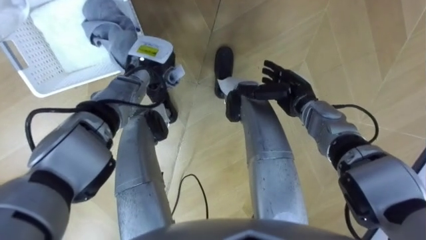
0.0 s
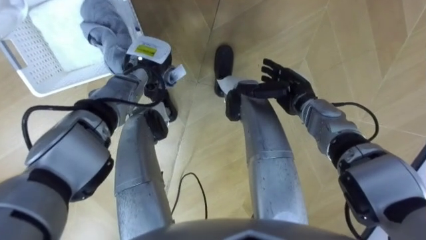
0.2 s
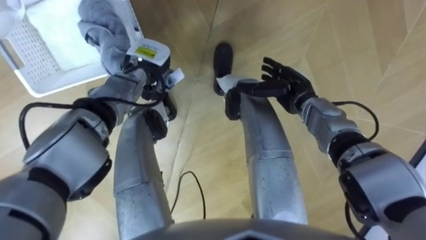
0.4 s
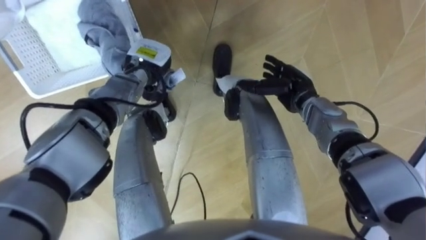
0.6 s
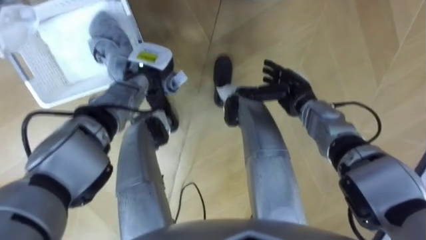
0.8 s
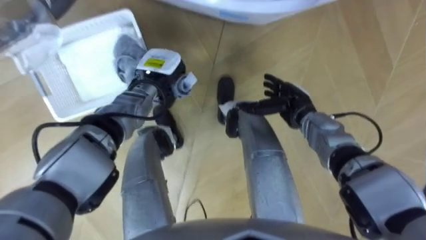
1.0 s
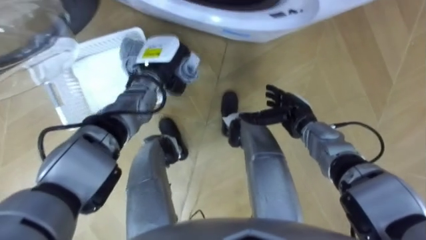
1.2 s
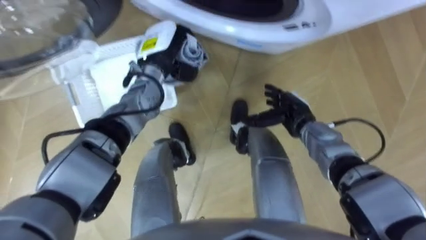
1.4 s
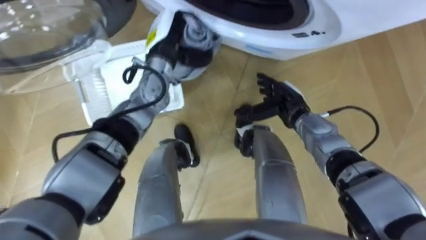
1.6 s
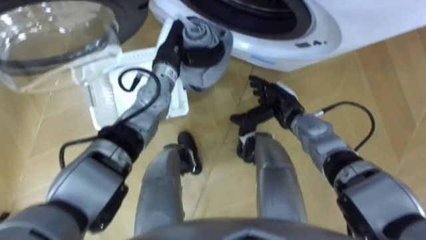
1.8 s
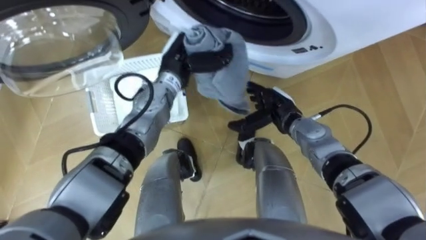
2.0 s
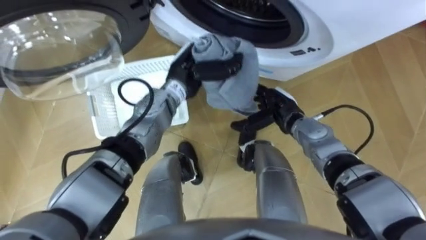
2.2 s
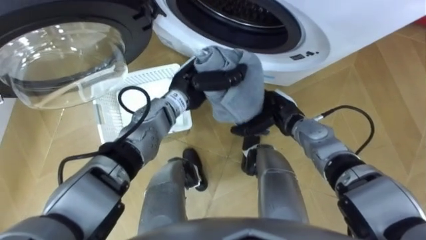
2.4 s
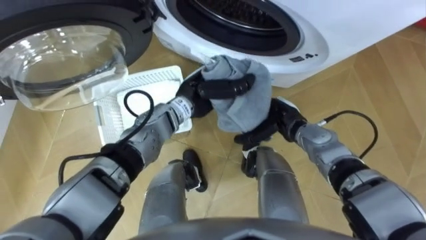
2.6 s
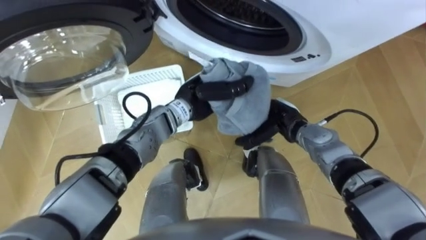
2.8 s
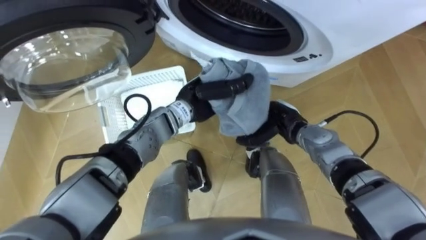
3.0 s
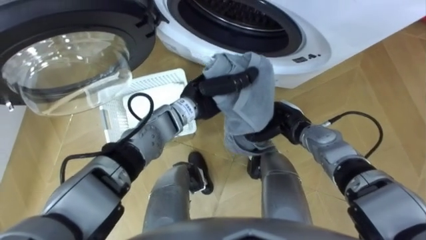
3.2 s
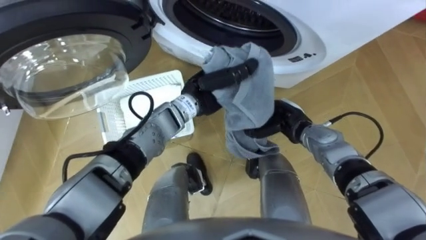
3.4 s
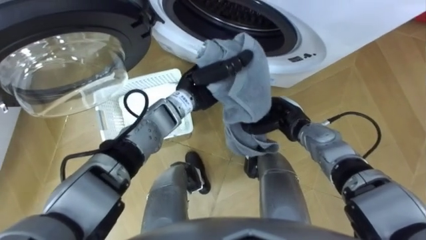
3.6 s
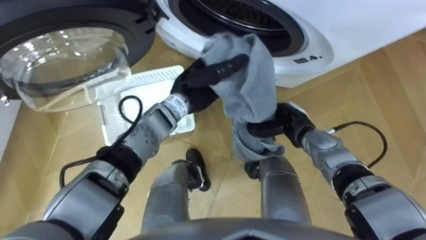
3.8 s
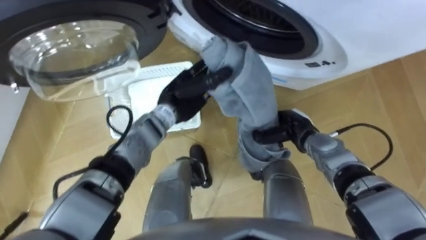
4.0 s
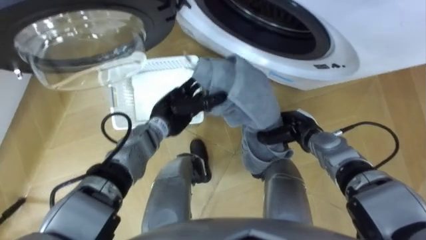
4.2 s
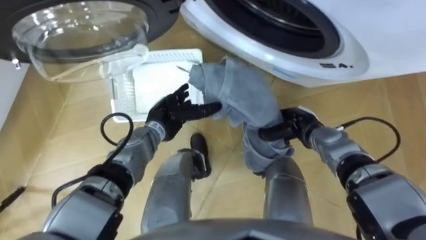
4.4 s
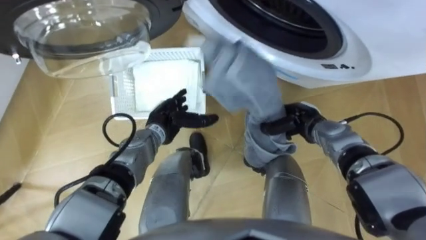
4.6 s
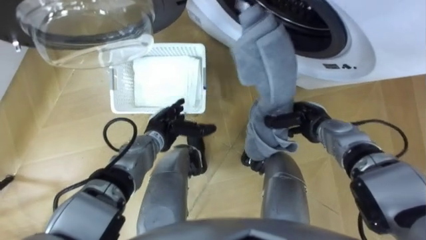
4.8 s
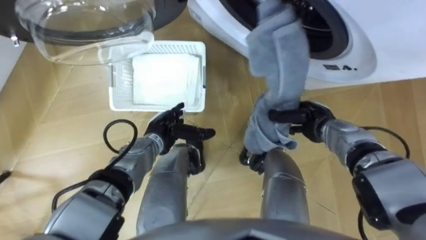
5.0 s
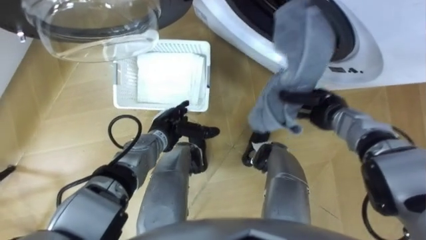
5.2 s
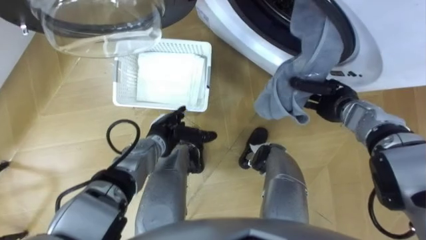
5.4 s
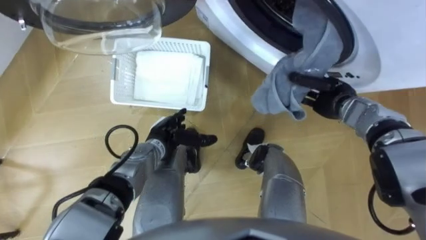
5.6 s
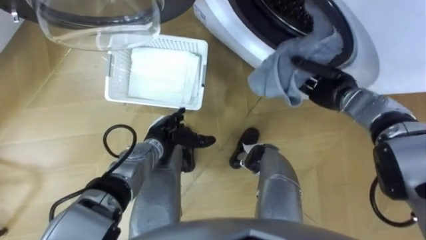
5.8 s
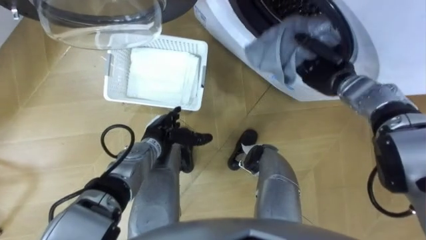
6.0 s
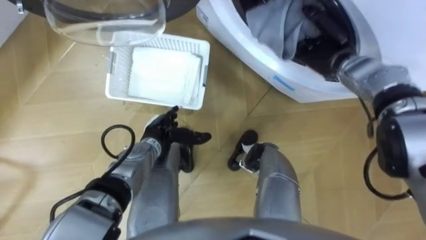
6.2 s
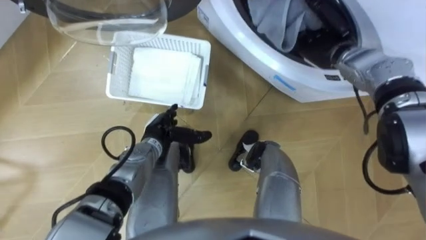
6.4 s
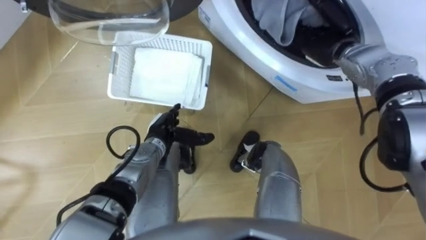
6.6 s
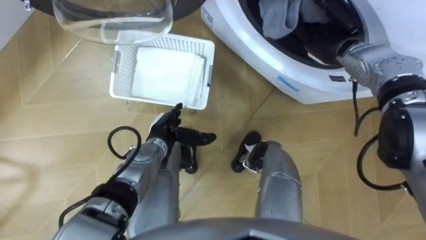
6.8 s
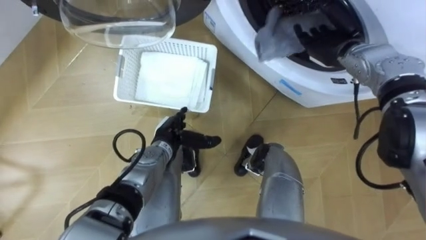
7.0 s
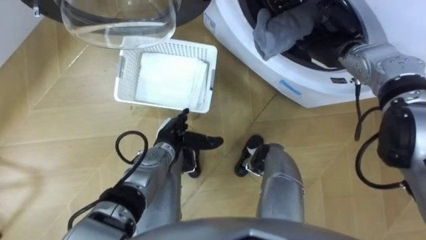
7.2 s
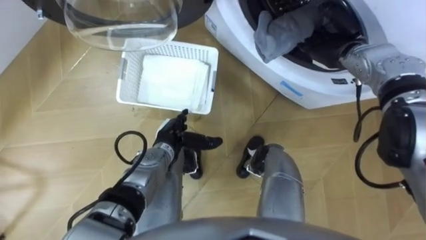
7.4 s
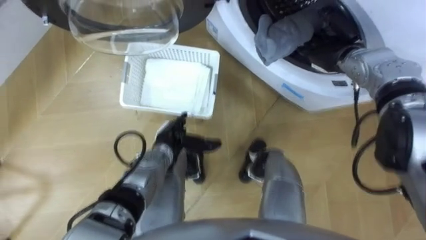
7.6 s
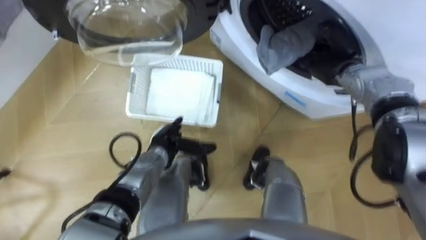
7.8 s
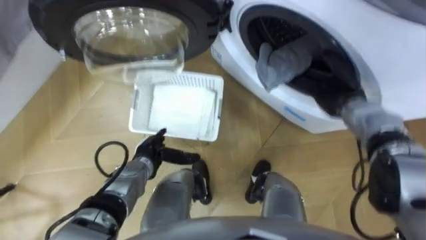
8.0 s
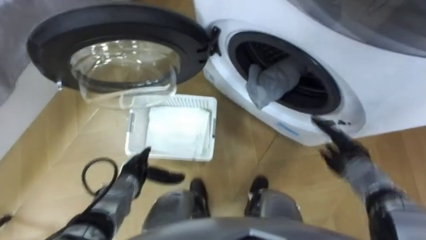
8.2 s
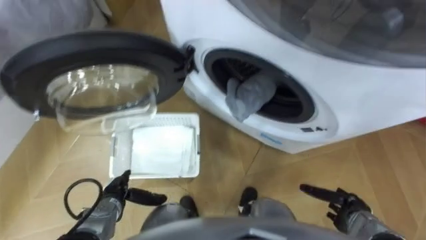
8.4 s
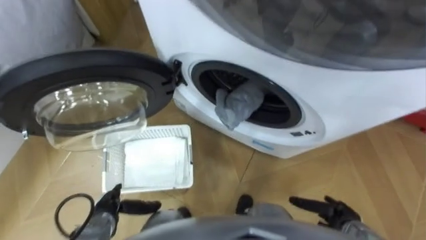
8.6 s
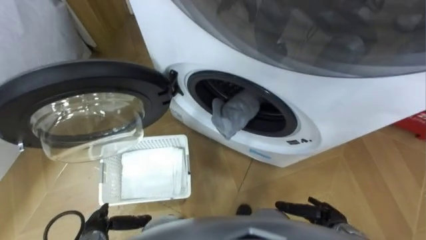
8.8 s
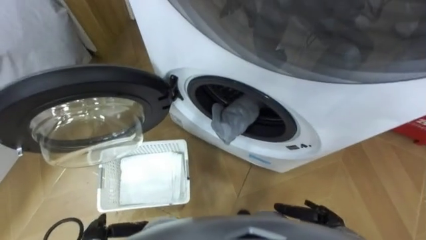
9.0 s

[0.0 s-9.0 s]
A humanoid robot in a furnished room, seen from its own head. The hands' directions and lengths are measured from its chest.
Task of the whole recording: Take the towel from the basket and put it into the washing machine.
0.0 to 1.6 s: The left hand shifts roughly 5 cm upward.
1.6 to 3.0 s: The left hand heads backward, to the right and downward, covering about 15 cm.
3.0 to 4.4 s: The left hand shifts about 10 cm to the left and downward, and opens. Meanwhile the right hand closes.
4.4 to 6.0 s: The right hand moves upward and forward, about 15 cm.
6.0 to 7.6 s: The right hand opens its fingers.
7.6 to 9.0 s: The right hand travels backward and downward by about 40 cm.

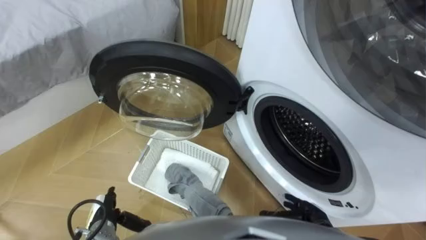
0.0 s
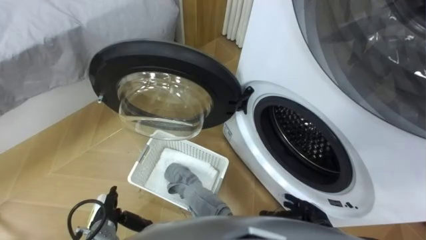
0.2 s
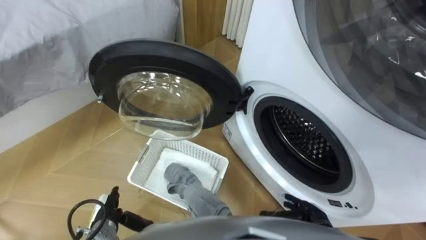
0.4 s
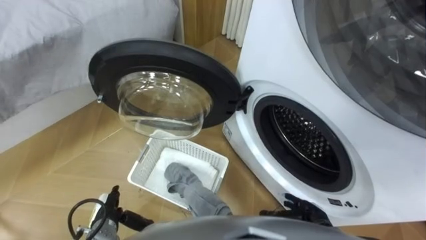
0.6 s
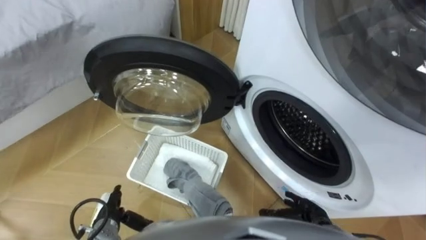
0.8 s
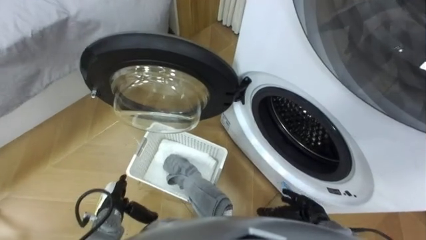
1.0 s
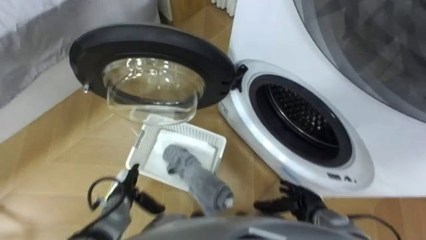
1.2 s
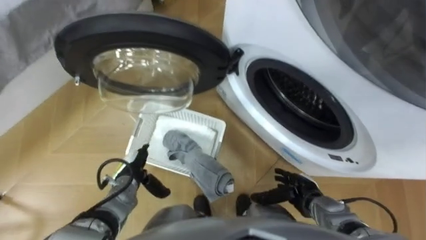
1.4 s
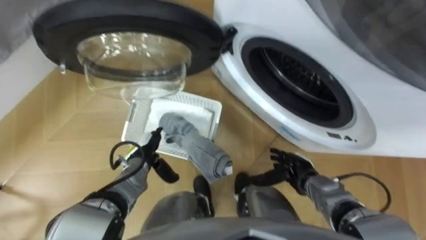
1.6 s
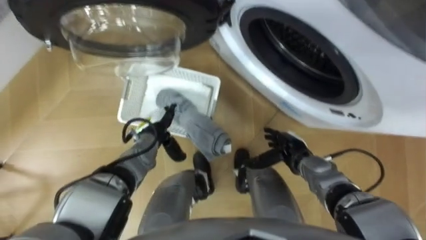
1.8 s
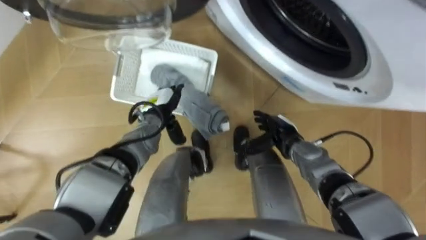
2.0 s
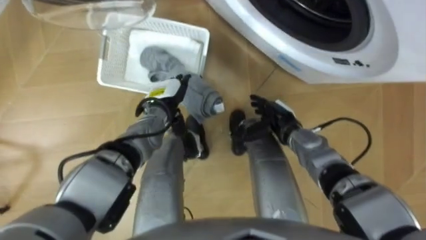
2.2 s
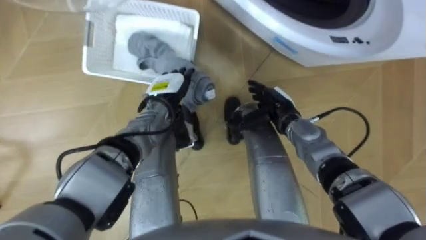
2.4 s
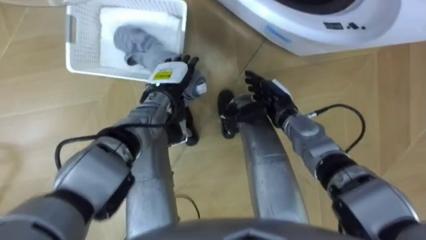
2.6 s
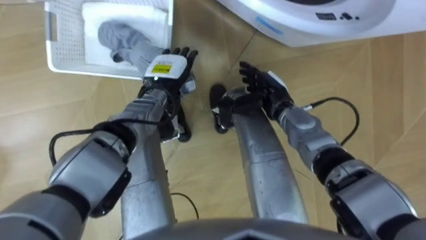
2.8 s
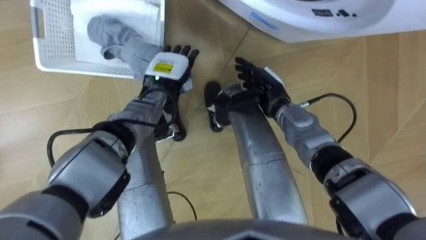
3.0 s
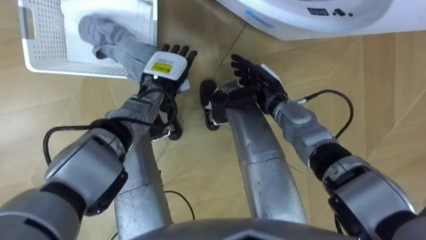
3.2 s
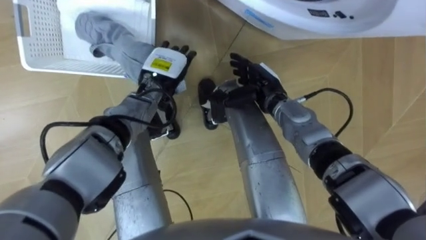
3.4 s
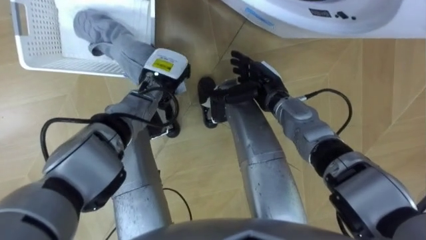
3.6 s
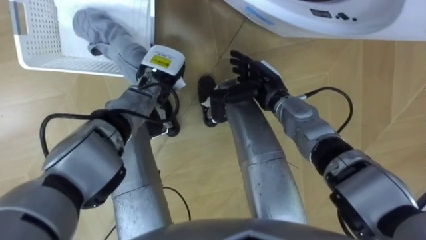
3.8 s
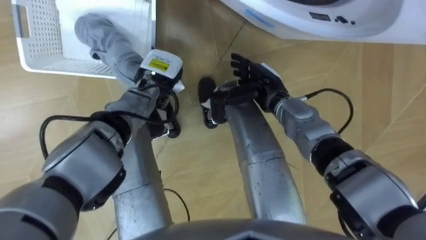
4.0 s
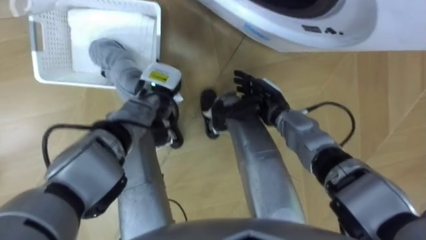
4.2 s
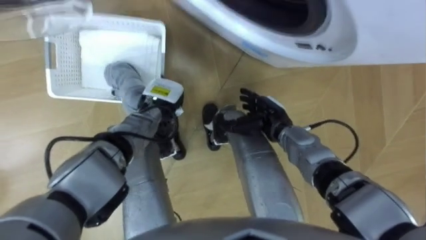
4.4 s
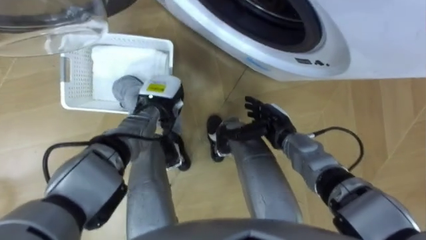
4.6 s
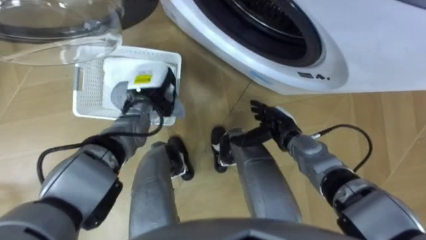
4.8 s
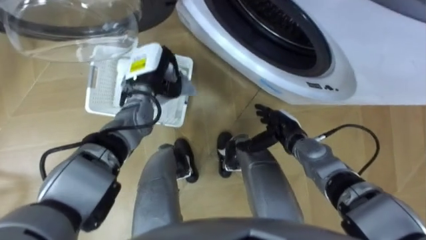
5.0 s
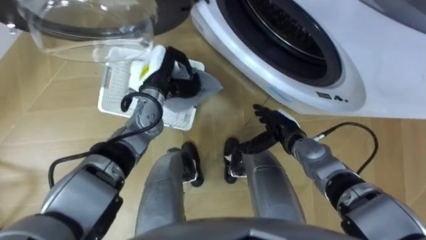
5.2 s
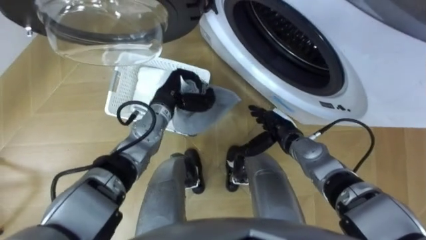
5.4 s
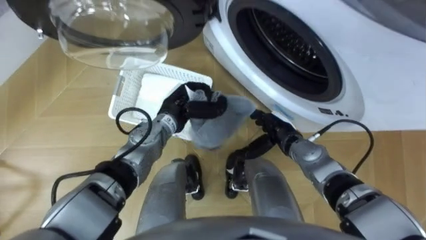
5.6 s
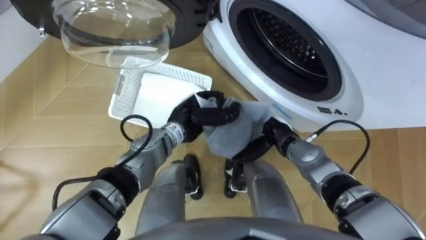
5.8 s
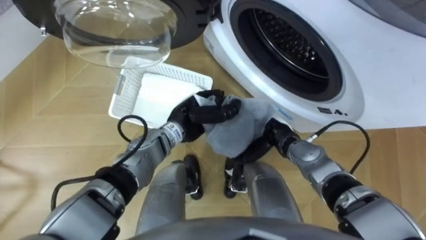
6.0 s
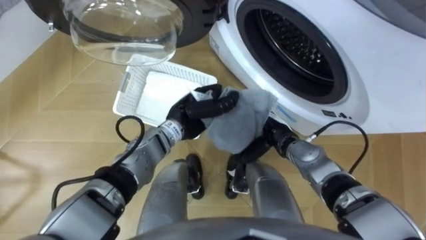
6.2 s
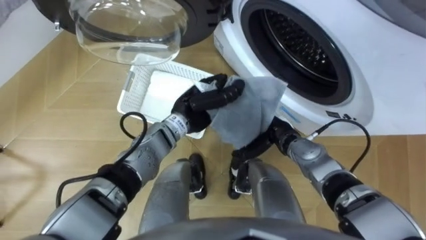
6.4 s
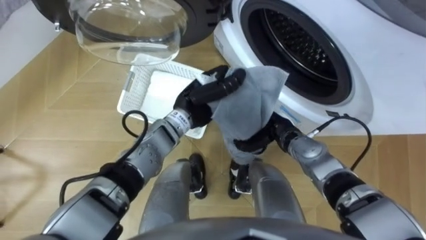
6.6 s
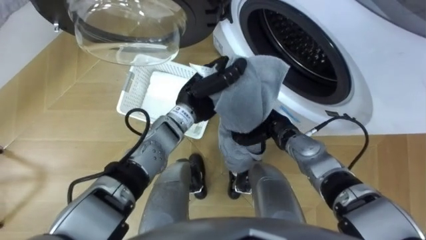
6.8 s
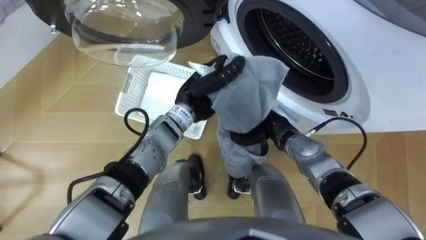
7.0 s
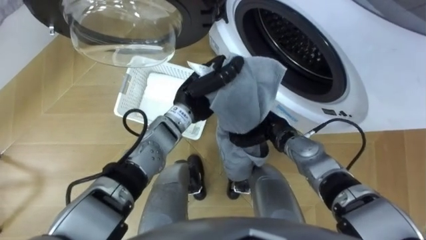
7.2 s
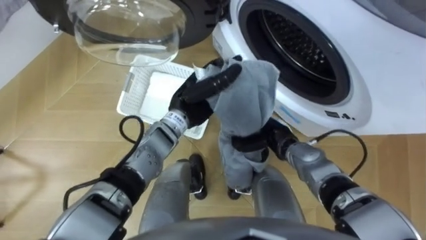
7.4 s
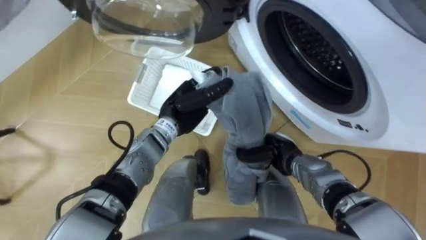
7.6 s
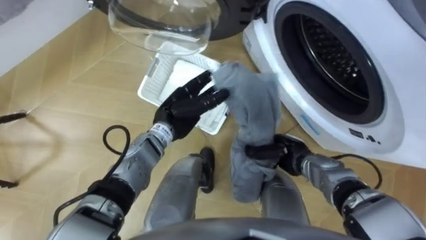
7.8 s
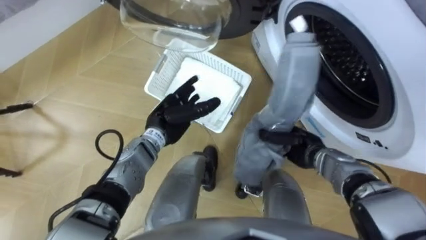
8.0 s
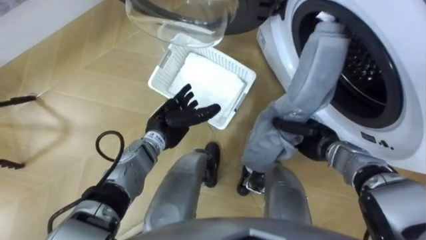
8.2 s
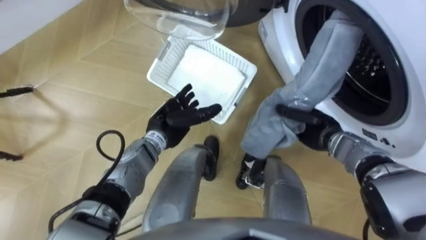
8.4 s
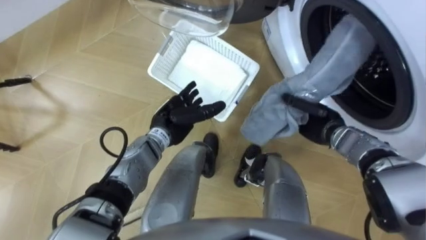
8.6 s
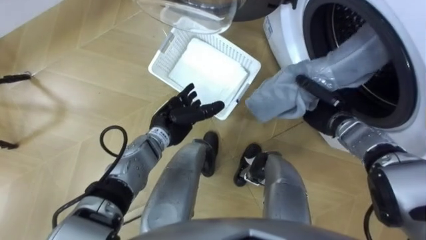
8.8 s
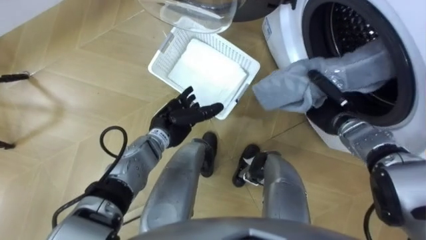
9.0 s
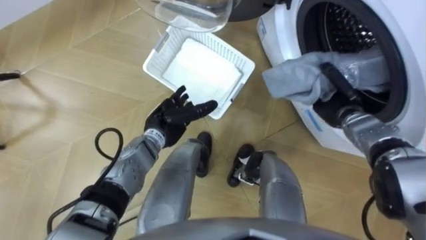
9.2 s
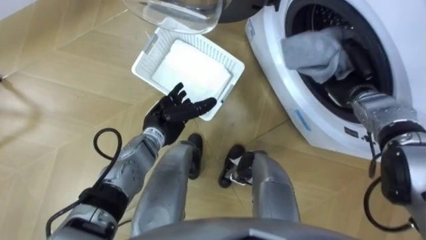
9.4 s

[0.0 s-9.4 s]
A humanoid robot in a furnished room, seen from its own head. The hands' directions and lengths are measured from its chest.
Task of the whole recording: Take the towel from the basket and put it into the washing machine.
1.6 to 3.2 s: The left hand moves forward, upward and to the right, about 20 cm; the right hand moves forward, upward and to the left, approximately 20 cm.
3.2 to 4.8 s: The right hand is displaced downward and backward by approximately 10 cm; the left hand closes.
4.8 to 6.2 s: The left hand shifts about 10 cm to the right and backward.
6.2 to 7.8 s: The left hand opens its fingers; the right hand changes place by approximately 5 cm, and closes.
7.8 to 9.4 s: The right hand travels to the right, forward and upward by approximately 20 cm.
